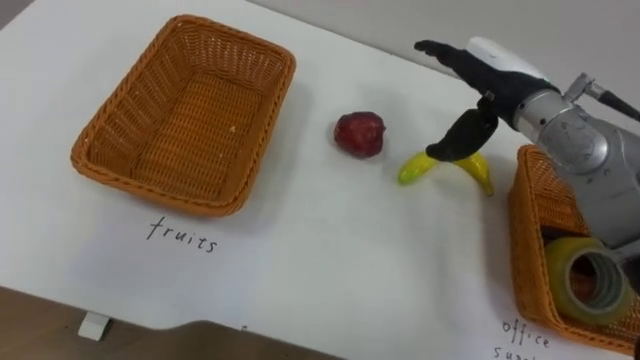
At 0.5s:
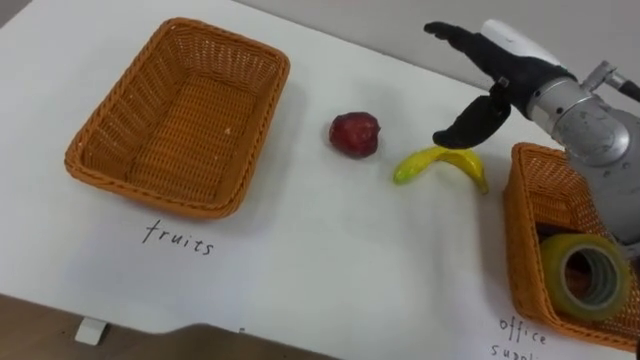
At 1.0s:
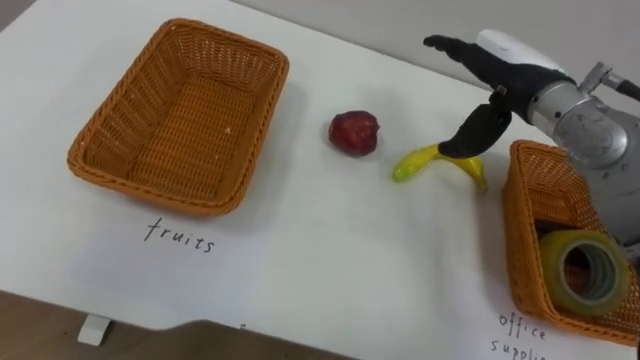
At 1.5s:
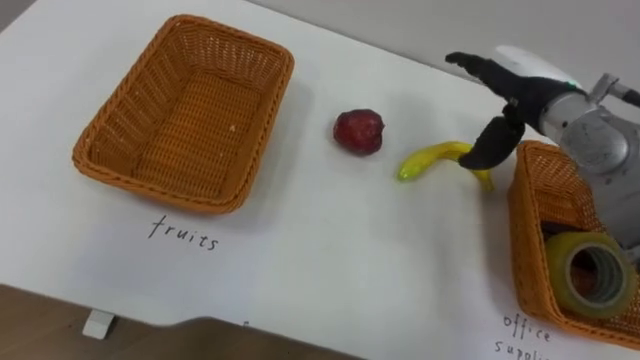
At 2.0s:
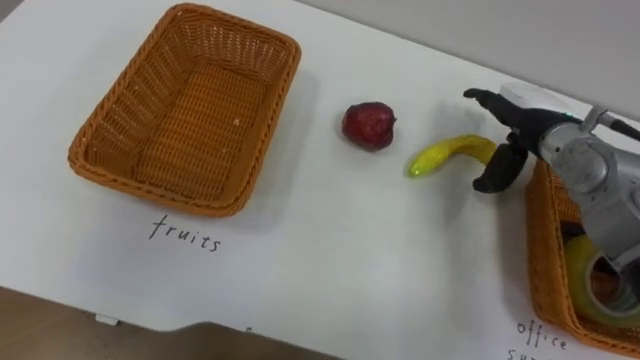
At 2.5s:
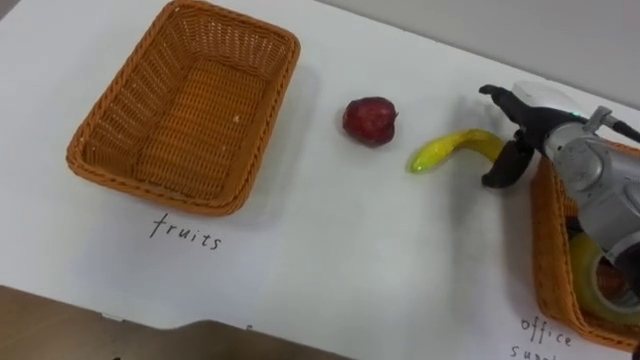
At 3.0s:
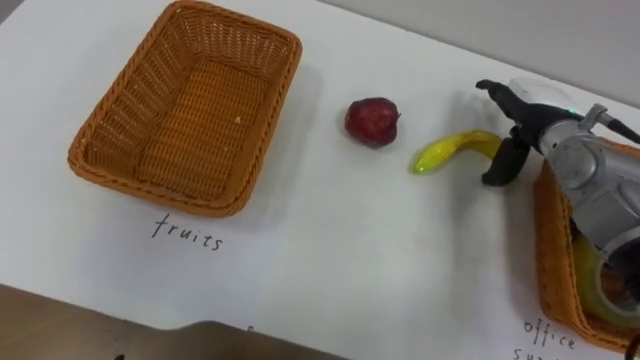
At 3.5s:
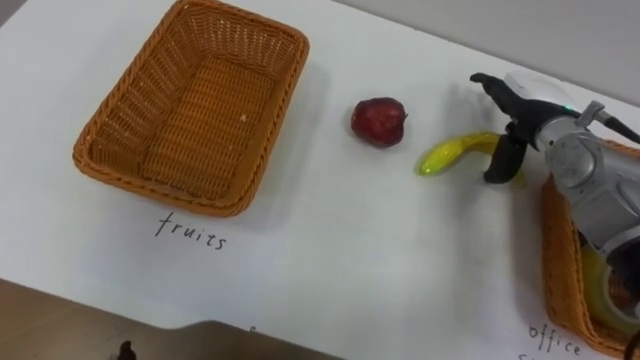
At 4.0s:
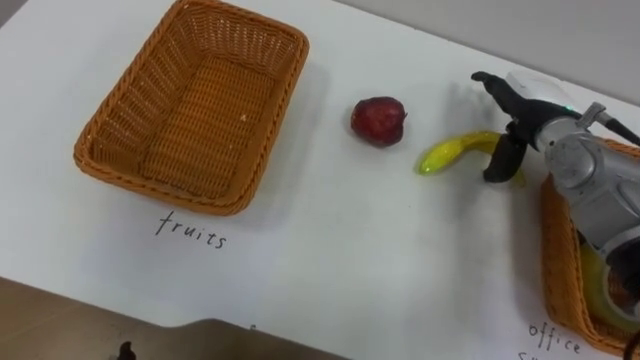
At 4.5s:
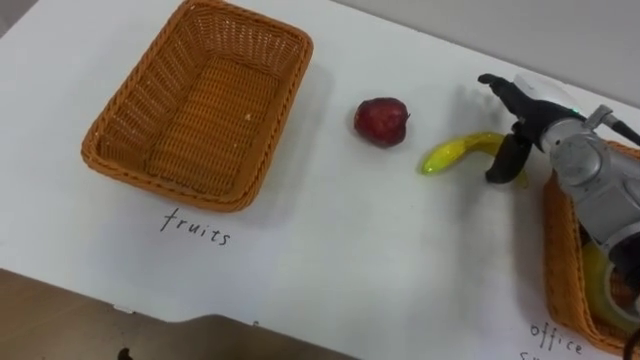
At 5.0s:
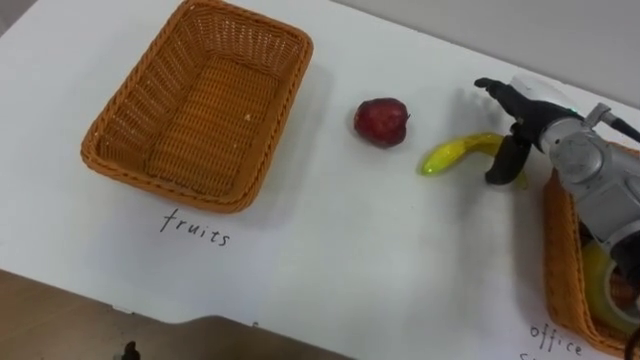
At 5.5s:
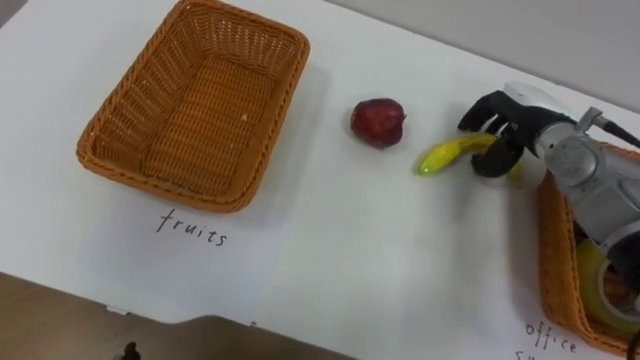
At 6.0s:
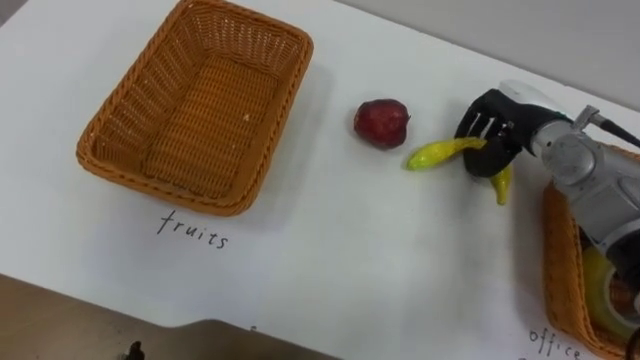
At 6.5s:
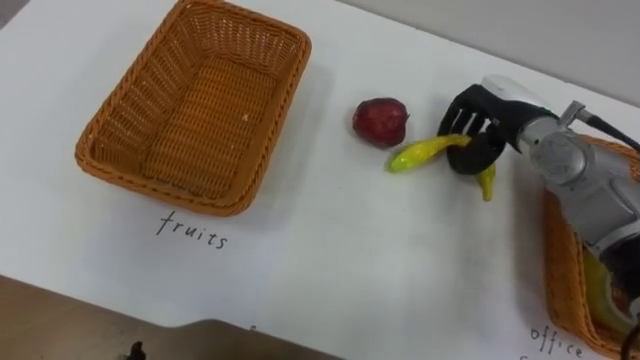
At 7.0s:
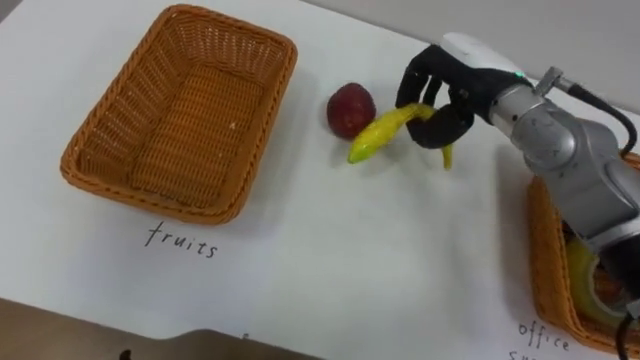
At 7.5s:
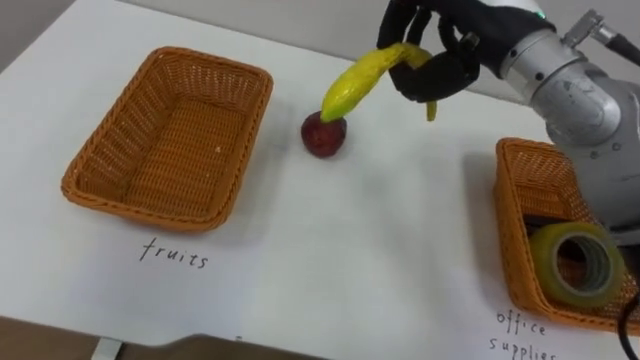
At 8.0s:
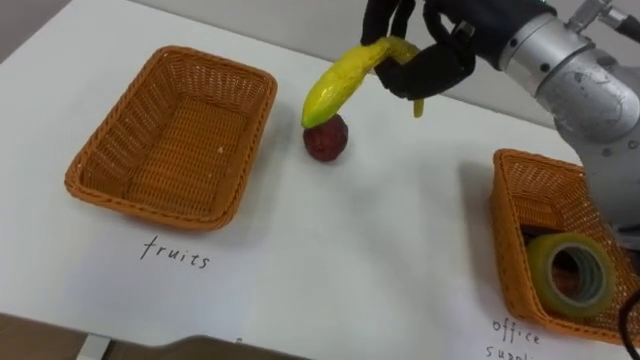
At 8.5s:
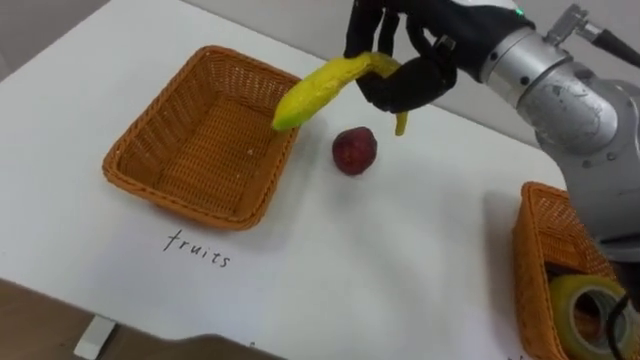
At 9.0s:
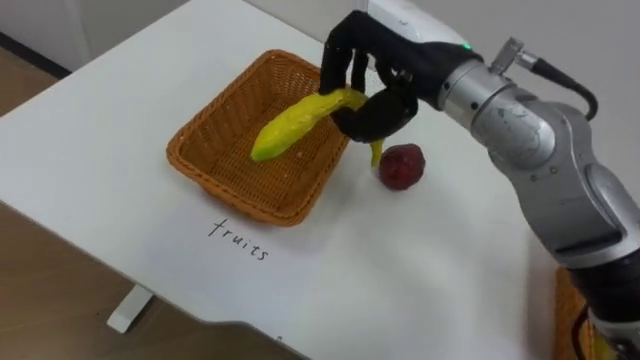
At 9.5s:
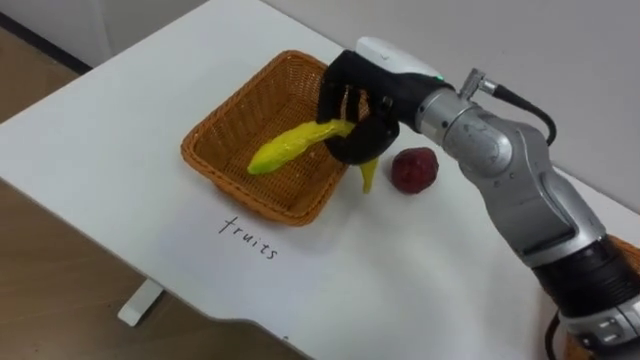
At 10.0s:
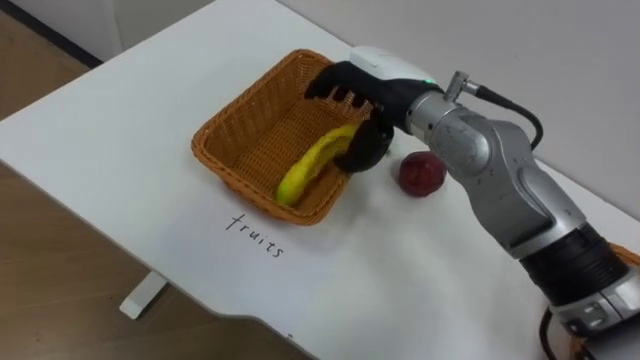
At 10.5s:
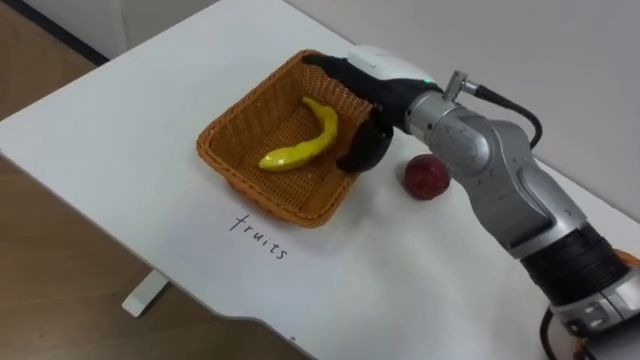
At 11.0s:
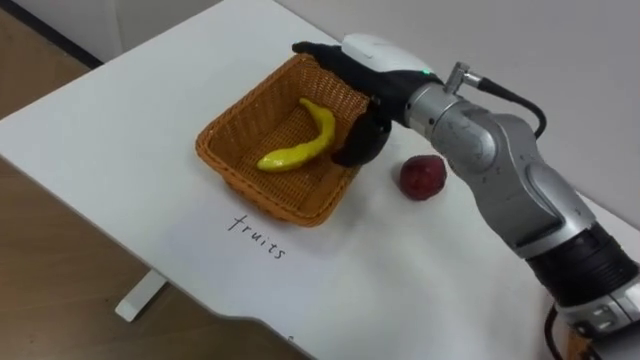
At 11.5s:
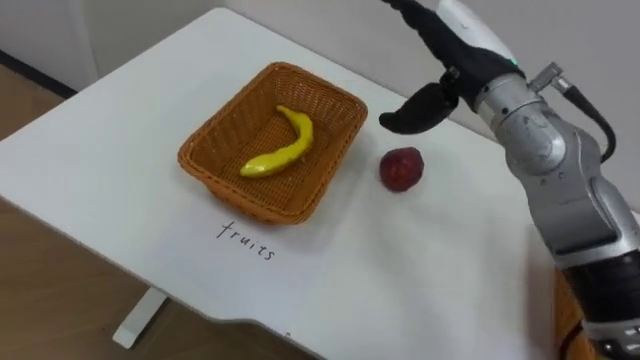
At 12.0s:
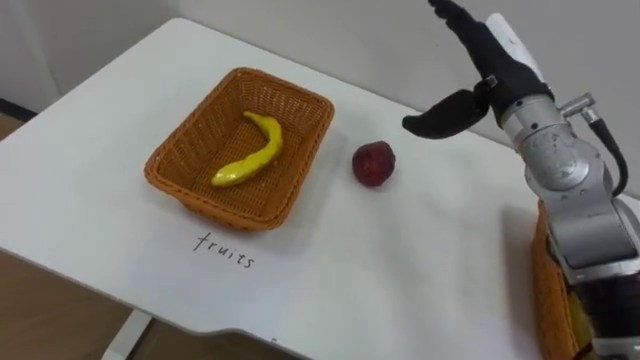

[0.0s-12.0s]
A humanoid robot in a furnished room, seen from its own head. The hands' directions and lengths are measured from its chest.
Task of the whole recording: Separate the items on the table and place them into the two baskets.
0.0s to 2.0s: The right hand is displaced downward and to the right by some 10 cm.
4.0s to 6.0s: The right hand closes.
6.0s to 8.0s: The right hand is displaced upward and to the left by some 20 cm.
8.0s to 10.0s: The right hand goes approximately 10 cm downward and to the left, and opens up.
10.0s to 12.0s: The right hand heads to the right, covering about 10 cm.

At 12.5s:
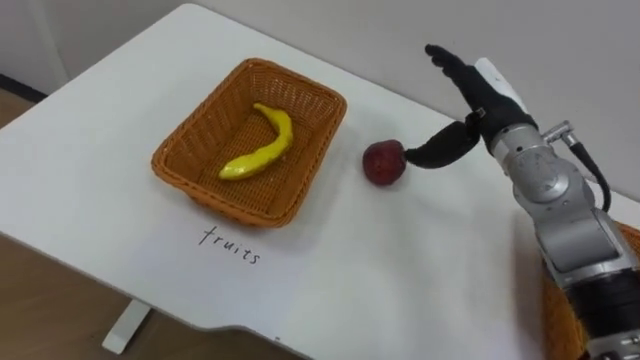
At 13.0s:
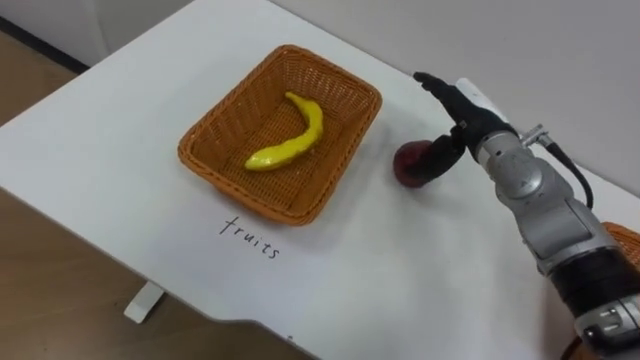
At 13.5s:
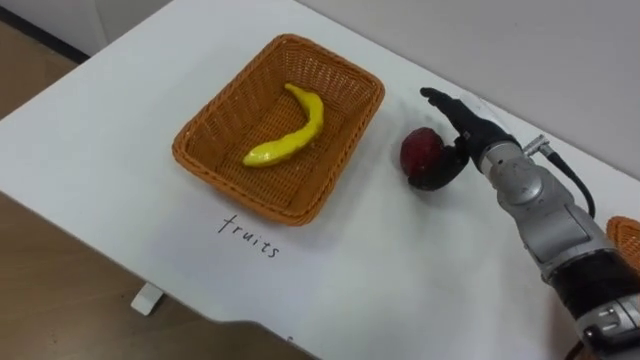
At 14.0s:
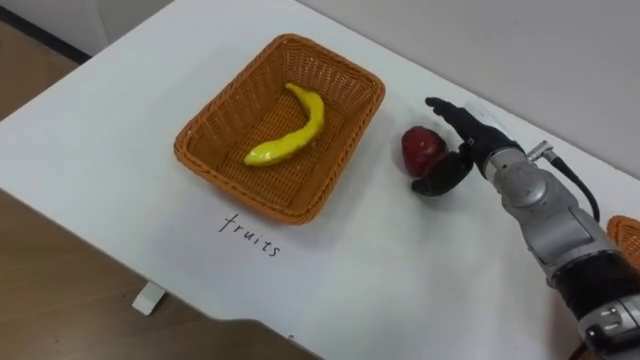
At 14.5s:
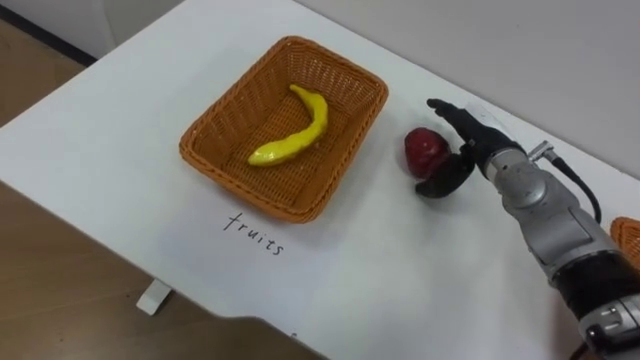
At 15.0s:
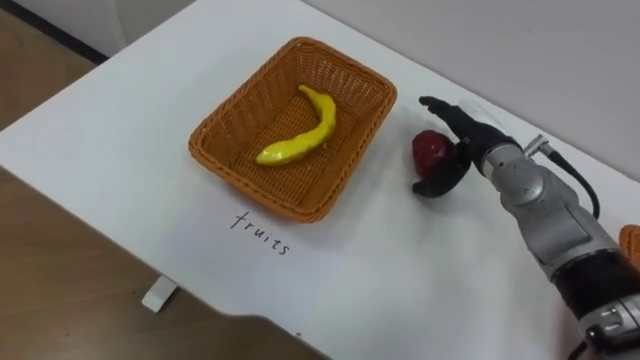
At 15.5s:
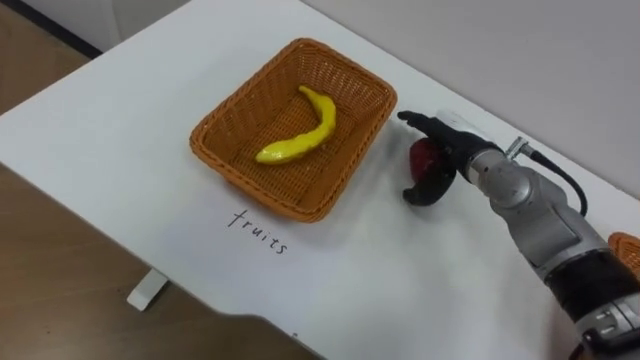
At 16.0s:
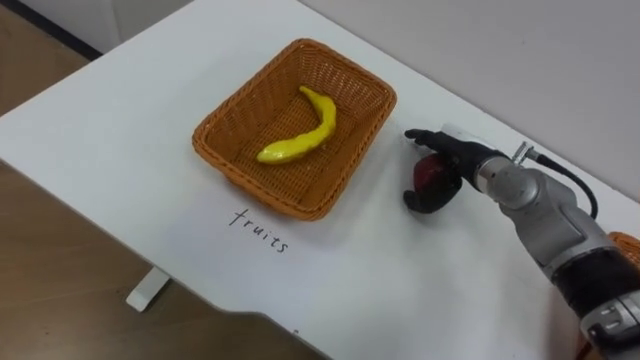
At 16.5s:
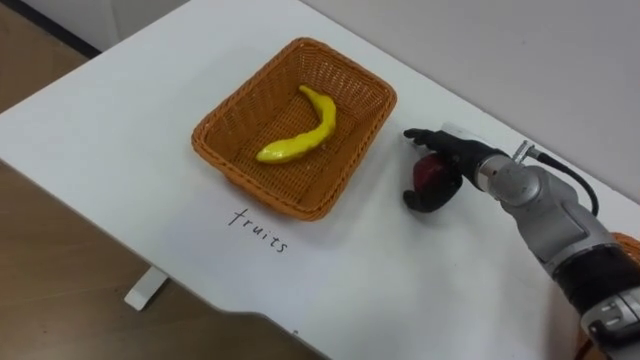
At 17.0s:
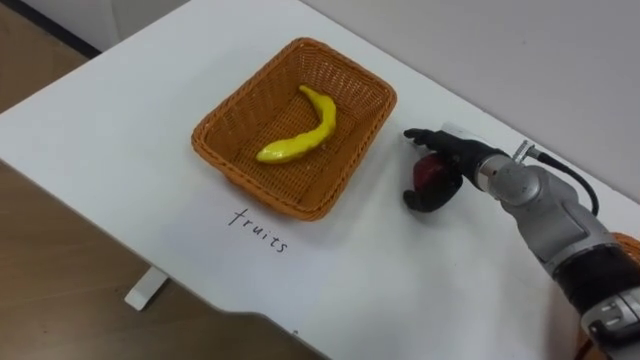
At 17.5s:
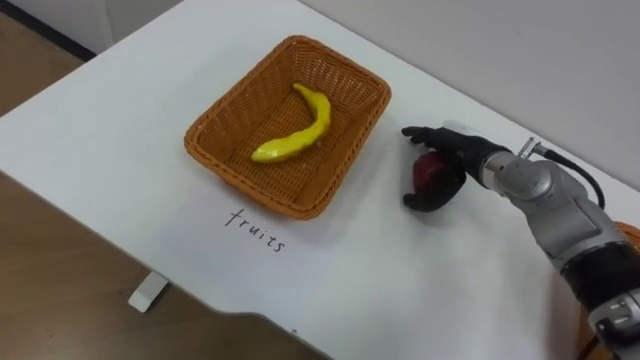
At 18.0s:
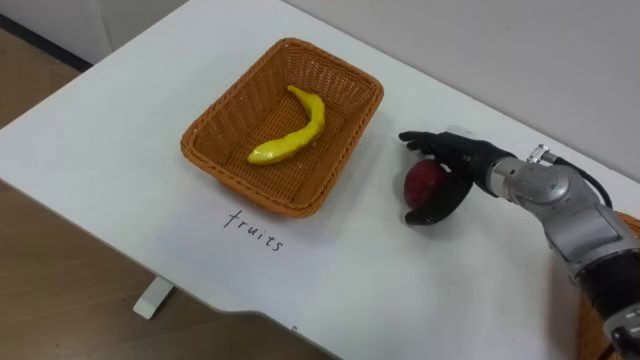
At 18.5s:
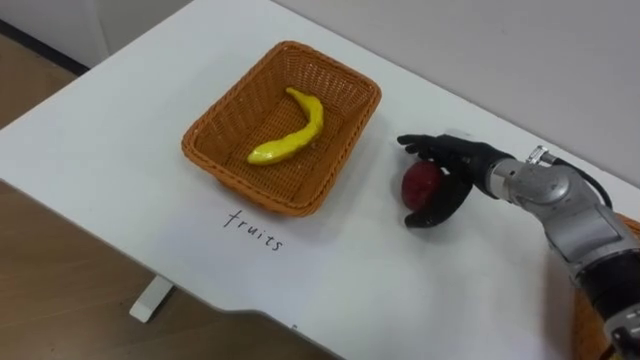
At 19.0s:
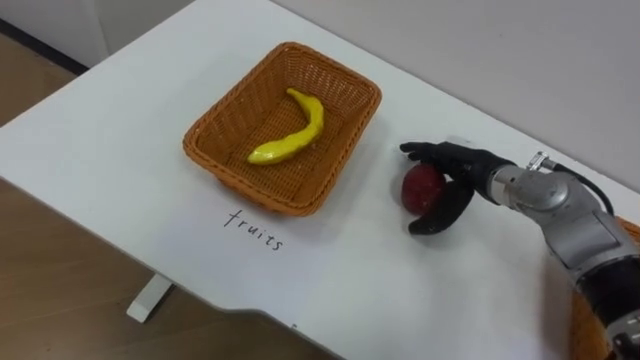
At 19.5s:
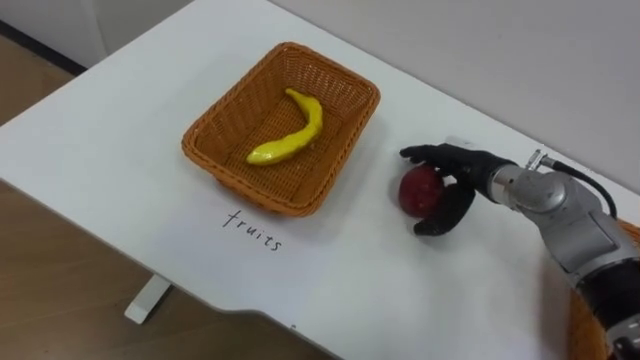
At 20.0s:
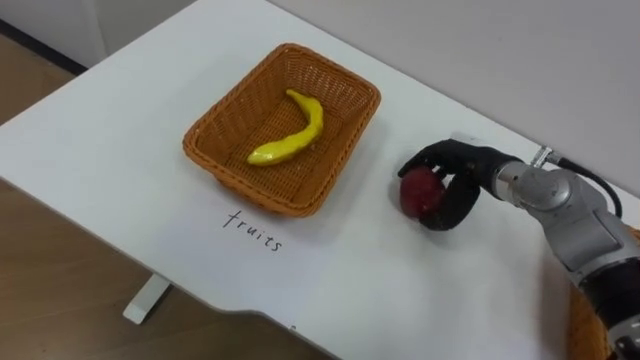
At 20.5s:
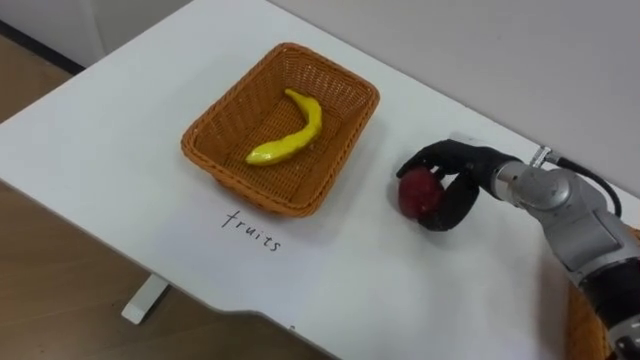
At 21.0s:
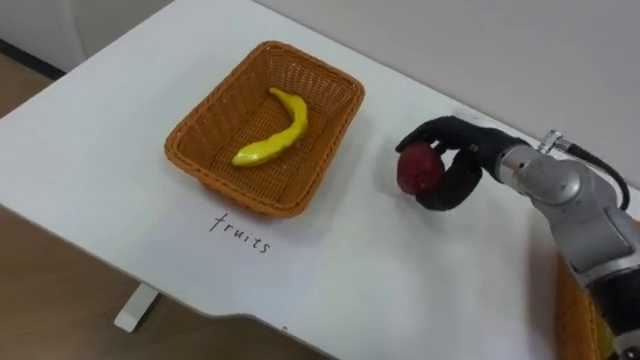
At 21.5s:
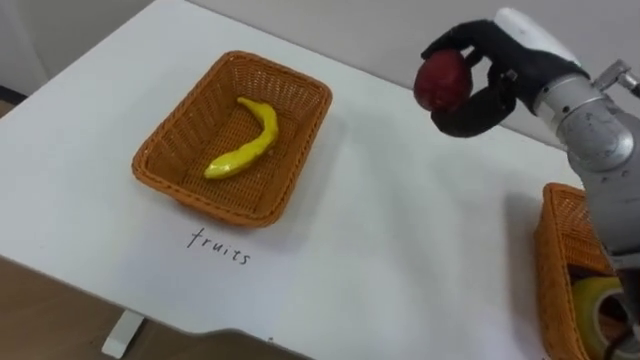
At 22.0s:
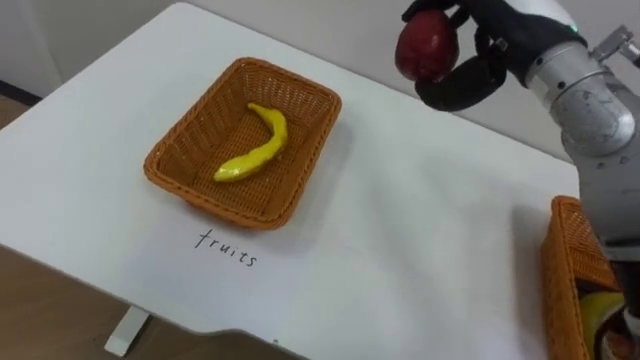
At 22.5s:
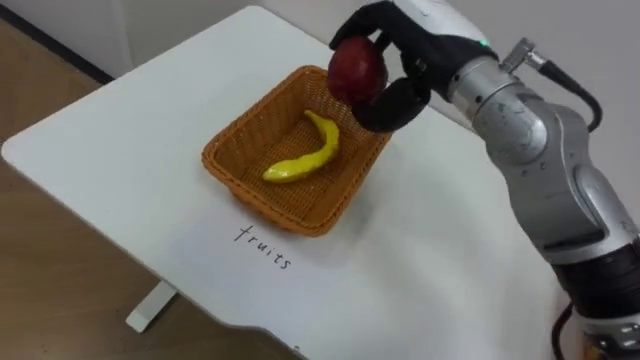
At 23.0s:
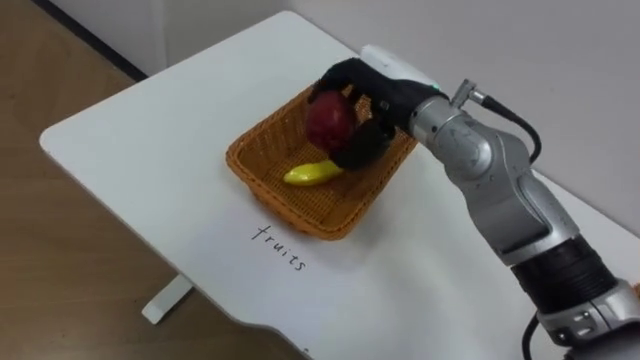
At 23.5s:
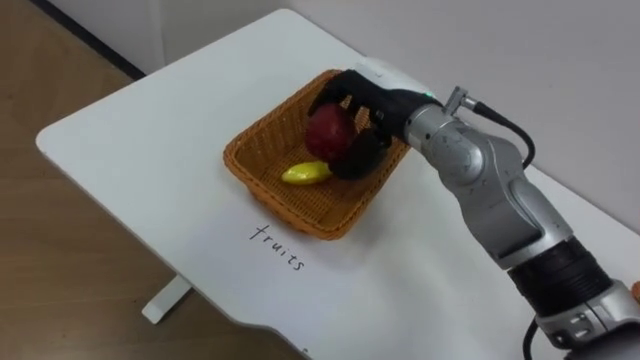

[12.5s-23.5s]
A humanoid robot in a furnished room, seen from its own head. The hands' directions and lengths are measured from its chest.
Task of the whole recording: Separate the items on the table and place them into the two baskets.
12.5s to 14.5s: The right hand shifts about 5 cm downward.
18.0s to 20.0s: The right hand closes its fingers.
20.0s to 21.5s: The right hand shifts about 15 cm upward.
21.5s to 23.5s: The right hand heads to the left, covering some 15 cm.
